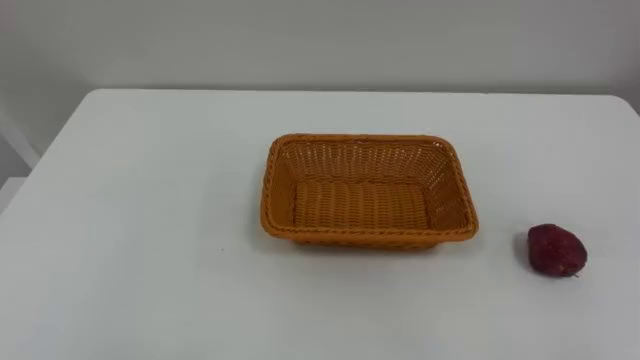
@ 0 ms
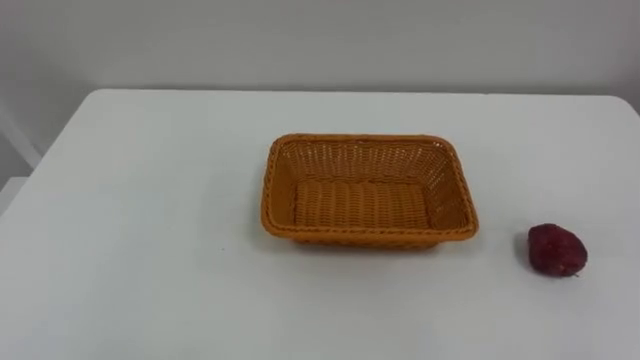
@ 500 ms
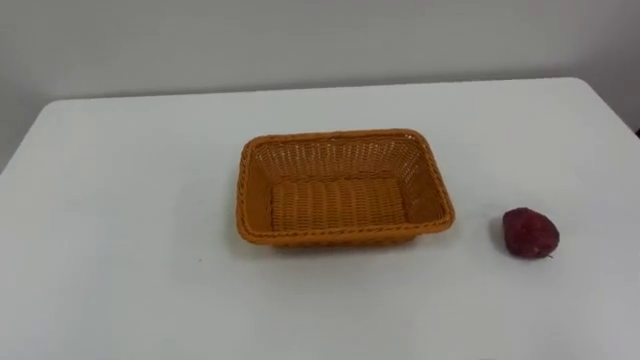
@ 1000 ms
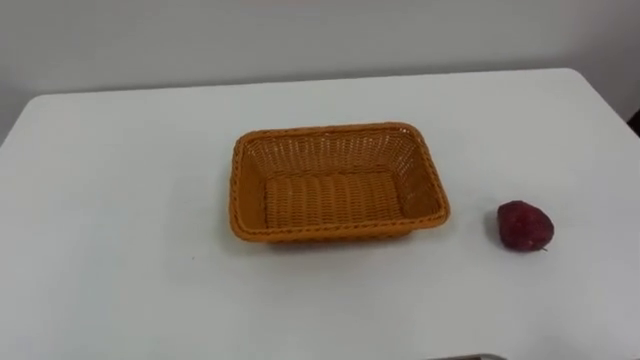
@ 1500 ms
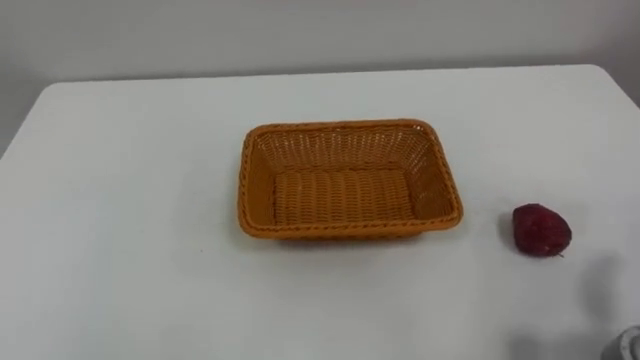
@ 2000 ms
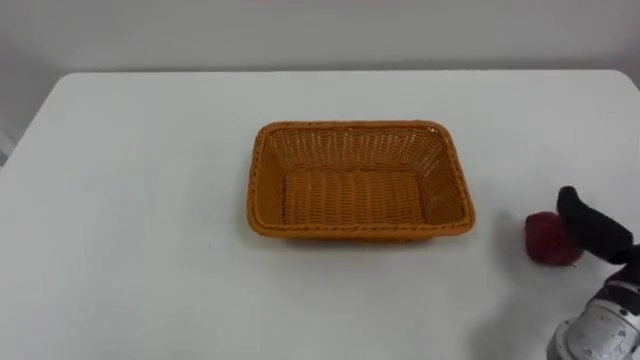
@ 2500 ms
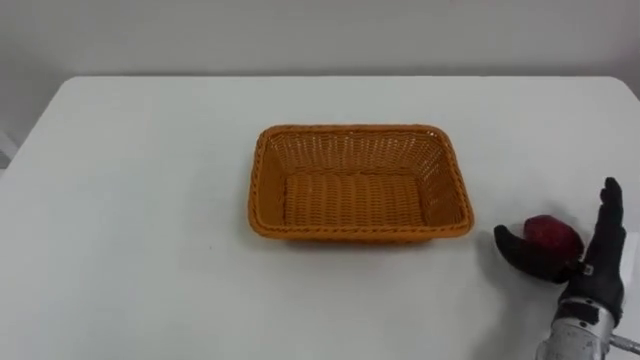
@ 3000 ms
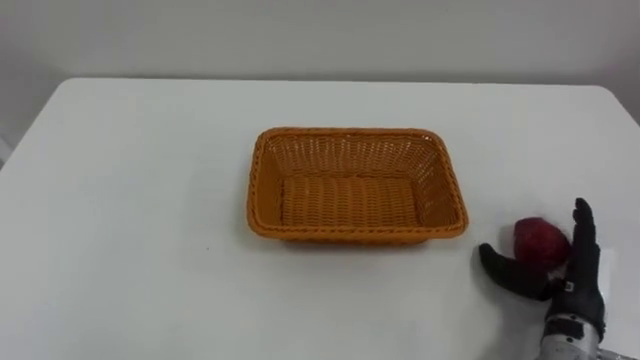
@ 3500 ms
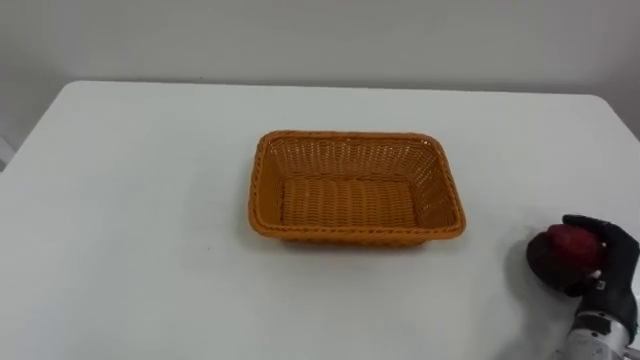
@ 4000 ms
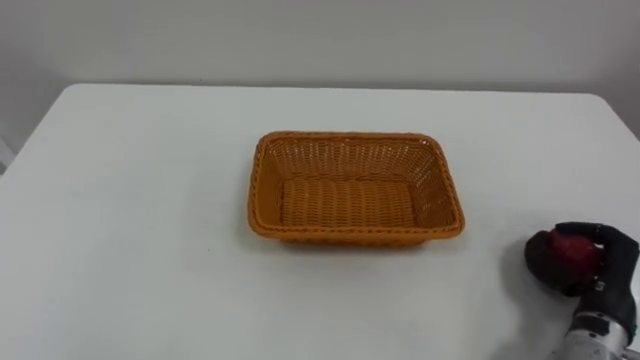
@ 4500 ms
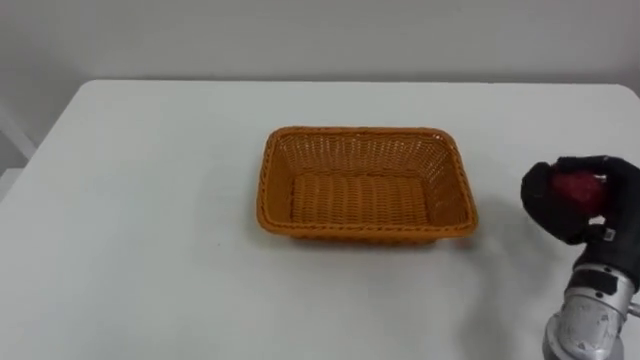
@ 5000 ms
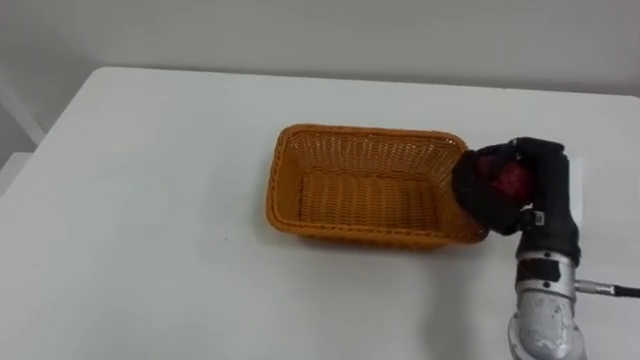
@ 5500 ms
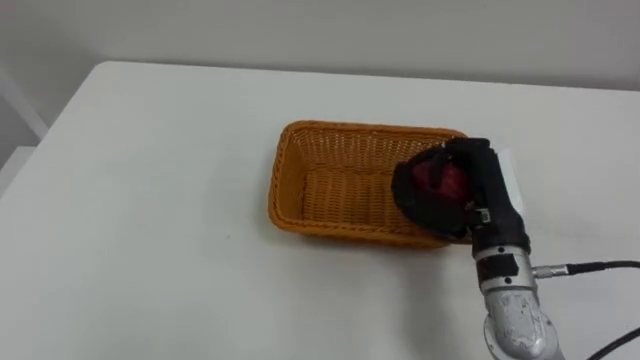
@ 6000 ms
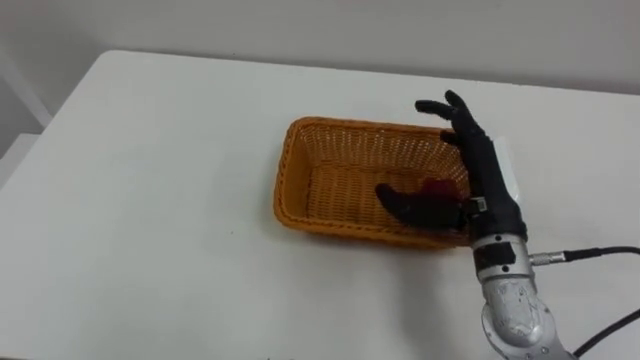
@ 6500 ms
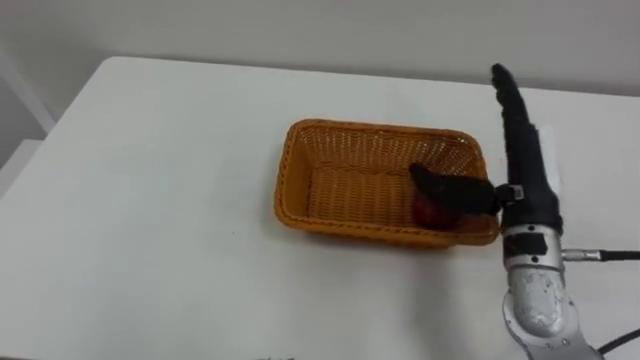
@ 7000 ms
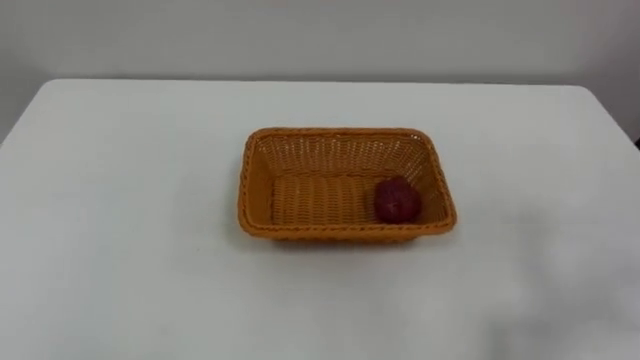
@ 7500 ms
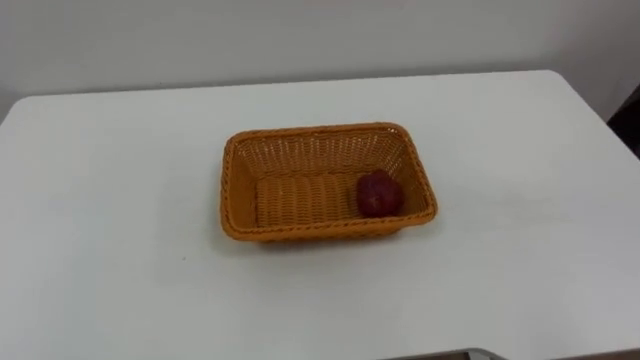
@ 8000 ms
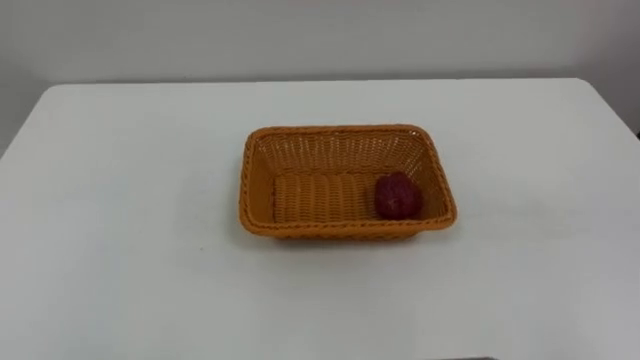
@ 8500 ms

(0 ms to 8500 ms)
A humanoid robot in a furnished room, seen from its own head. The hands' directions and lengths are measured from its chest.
Task of the whole recording: Pick the apple and place it in the box.
4000 ms - 6500 ms: The right hand is displaced to the left, upward and forward by roughly 20 cm, and opens.

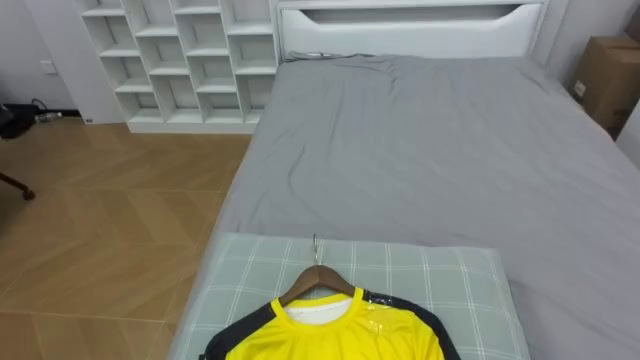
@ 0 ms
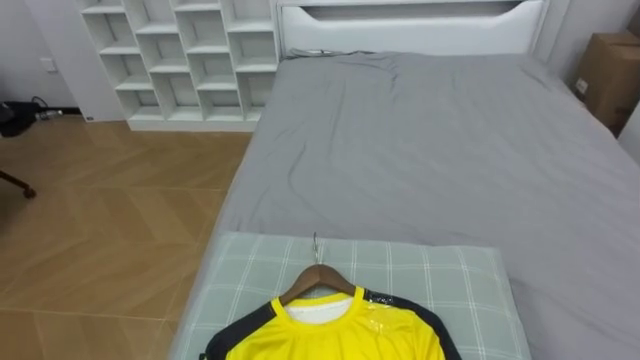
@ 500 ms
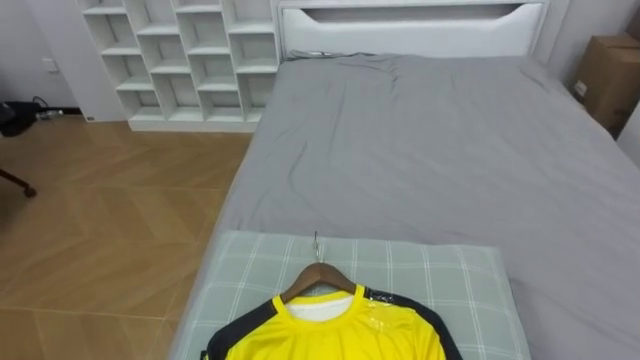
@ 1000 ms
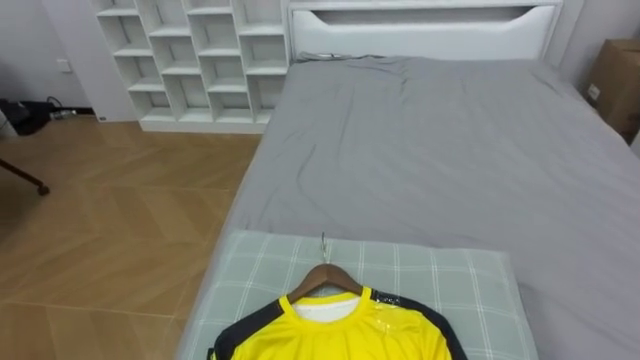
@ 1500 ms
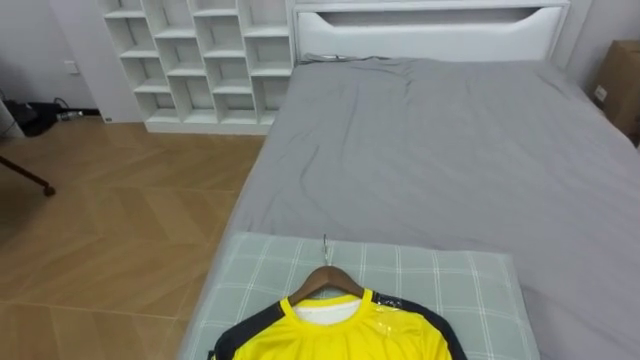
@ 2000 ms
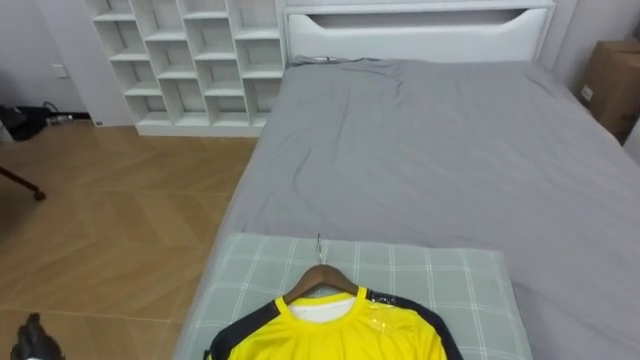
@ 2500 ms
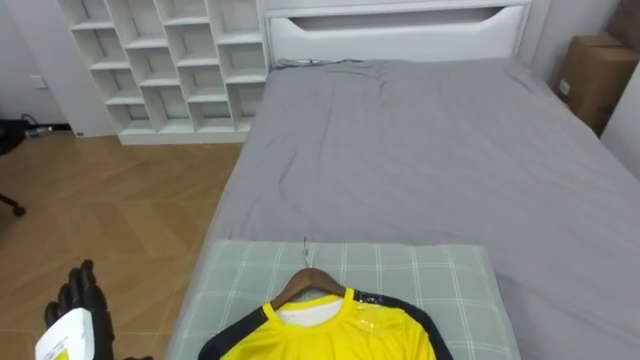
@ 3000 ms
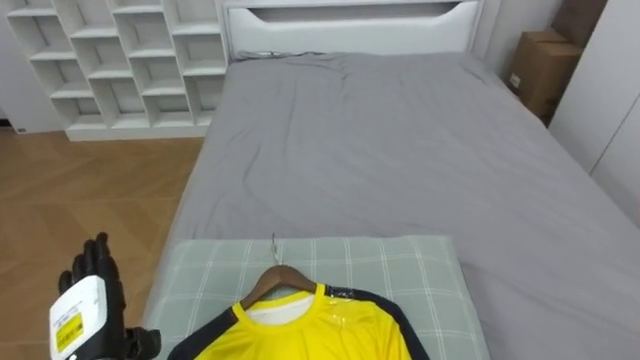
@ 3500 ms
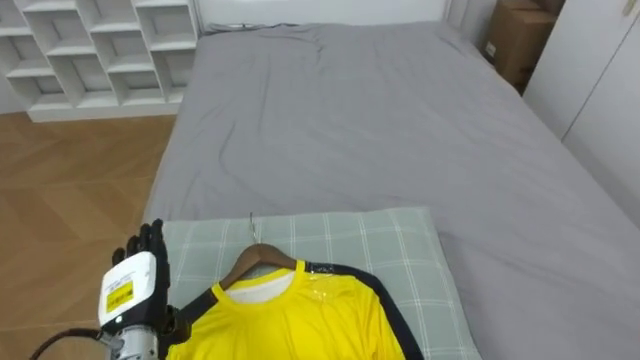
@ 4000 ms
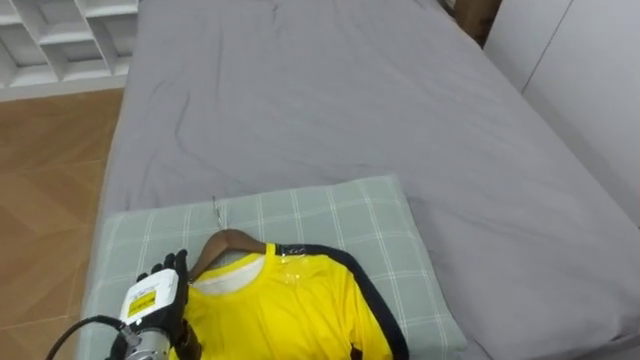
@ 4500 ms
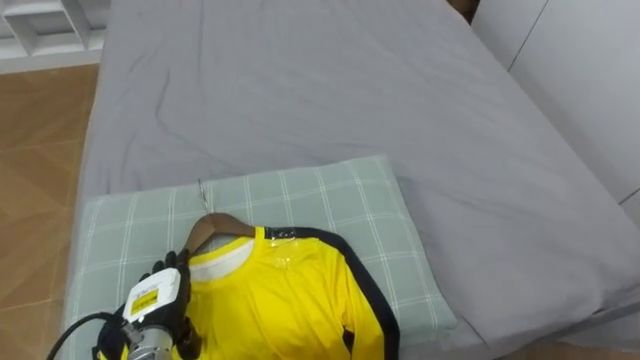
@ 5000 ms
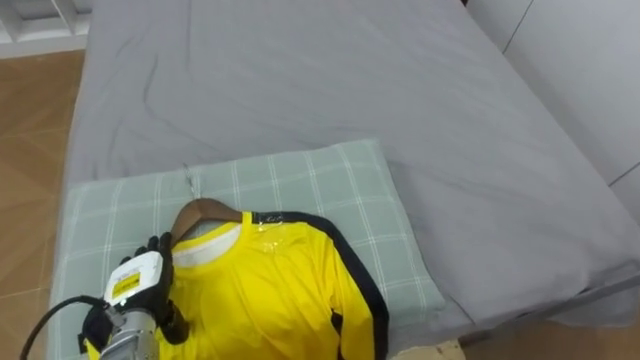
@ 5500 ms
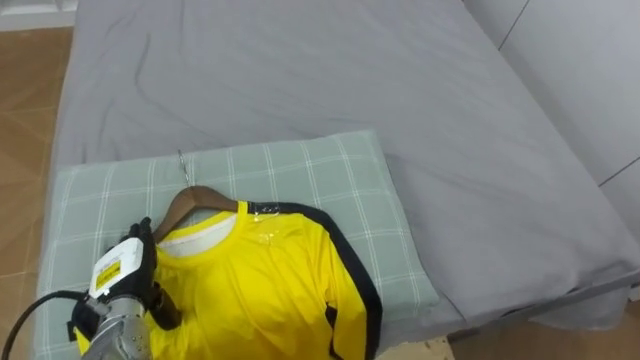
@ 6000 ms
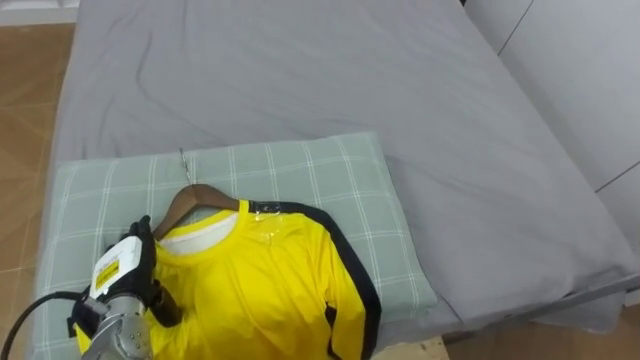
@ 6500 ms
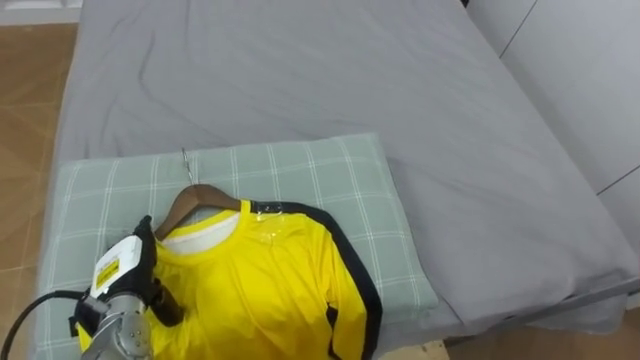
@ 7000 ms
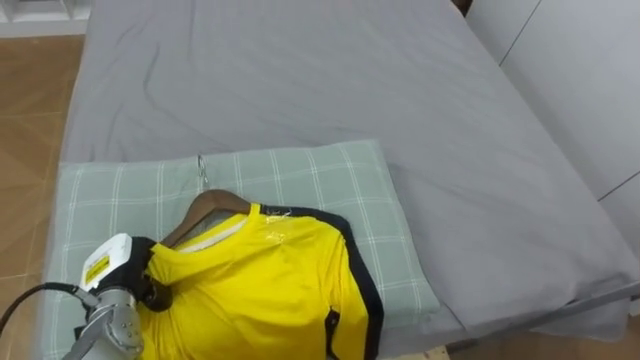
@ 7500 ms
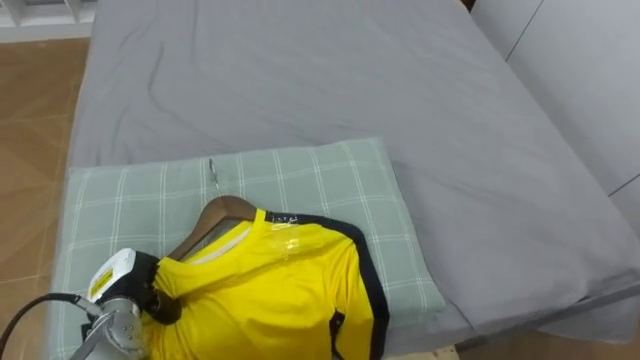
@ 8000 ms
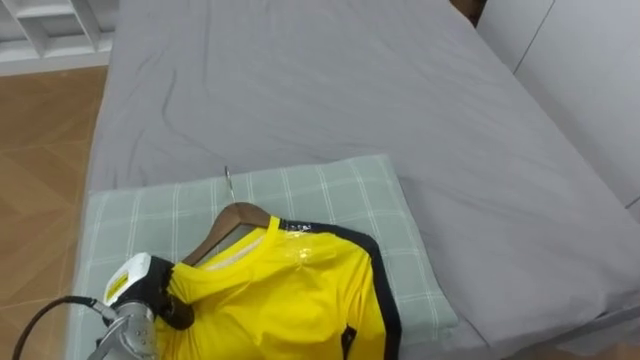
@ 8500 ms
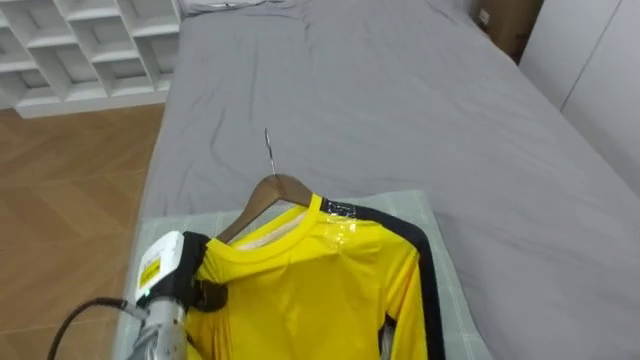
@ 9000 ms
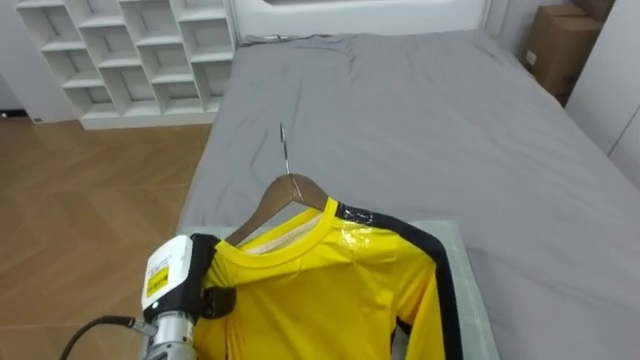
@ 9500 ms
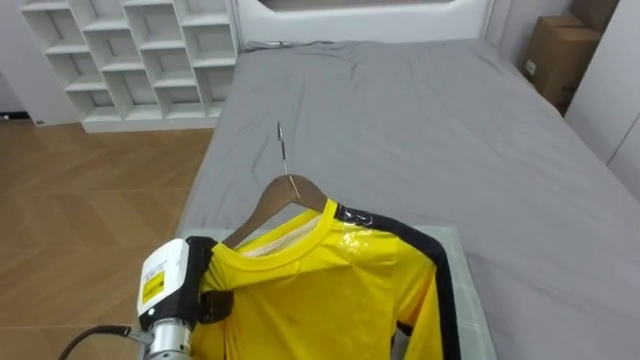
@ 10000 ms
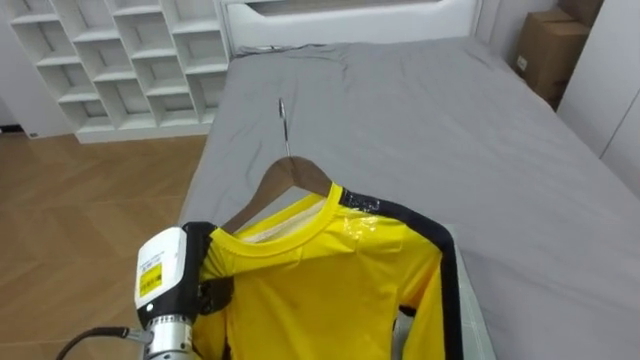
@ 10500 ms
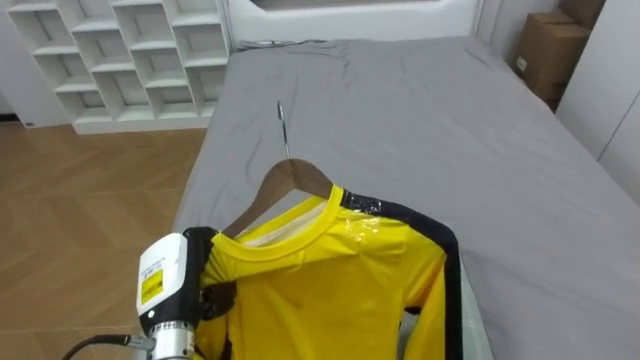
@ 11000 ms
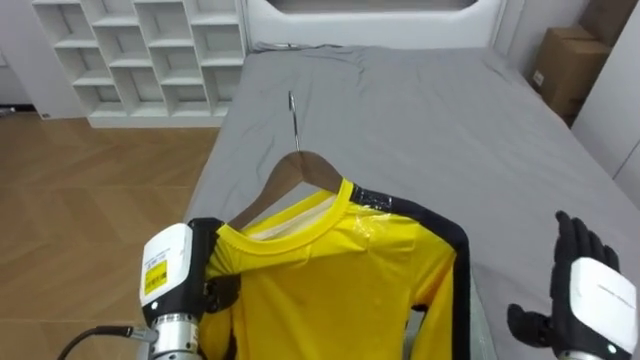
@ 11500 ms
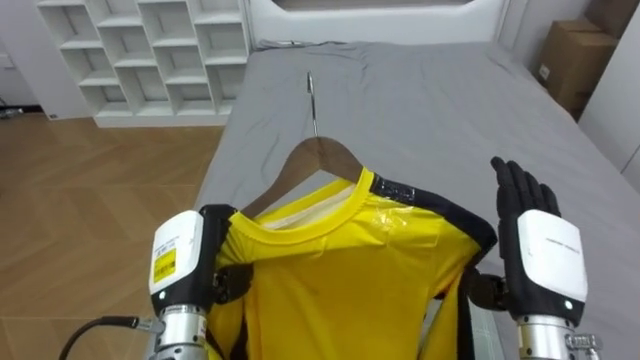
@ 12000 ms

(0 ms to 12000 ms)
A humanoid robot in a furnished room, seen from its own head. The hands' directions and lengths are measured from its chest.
Task of the whole recording: Pick up the yellow shirt on the bed and hang it on the clothes rack on the right.
6000 ms - 8000 ms: The left hand closes its fingers.
8000 ms - 10000 ms: The left hand moves to the right, roughly 10 cm.
10000 ms - 12000 ms: The left hand shifts about 5 cm upward.
